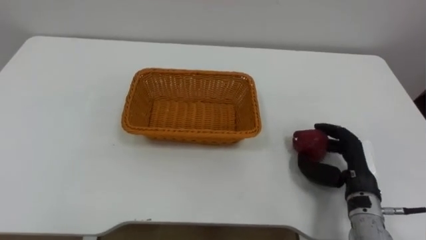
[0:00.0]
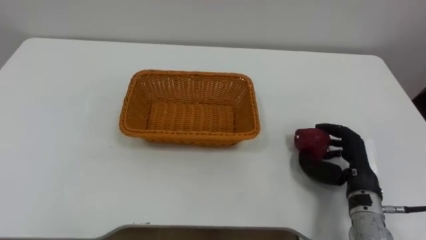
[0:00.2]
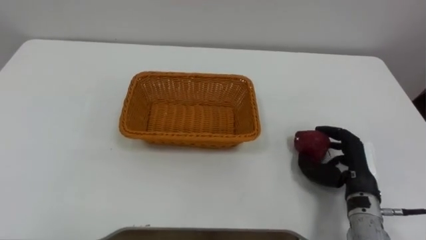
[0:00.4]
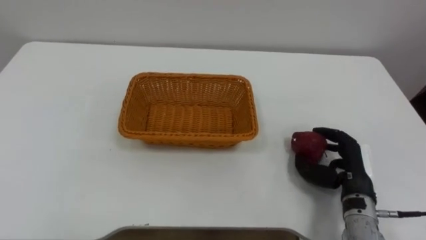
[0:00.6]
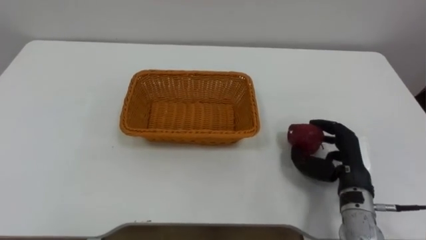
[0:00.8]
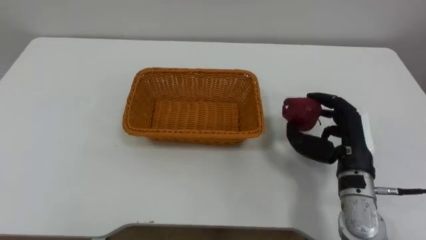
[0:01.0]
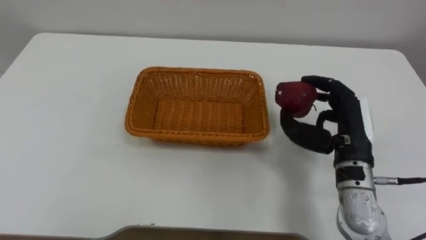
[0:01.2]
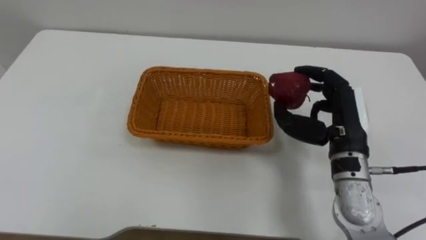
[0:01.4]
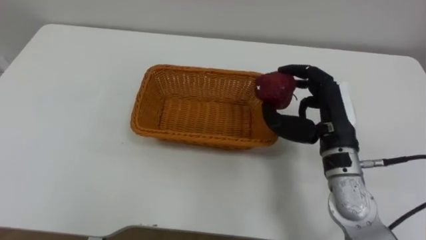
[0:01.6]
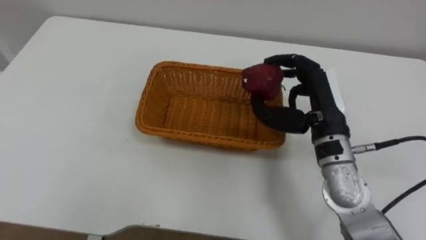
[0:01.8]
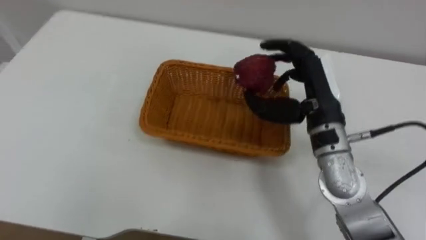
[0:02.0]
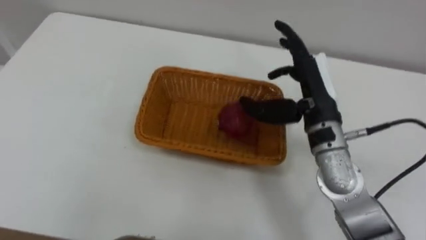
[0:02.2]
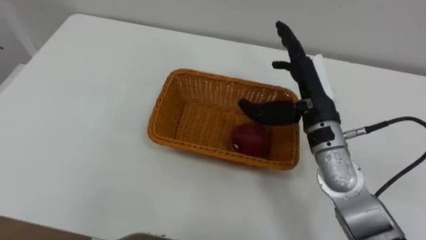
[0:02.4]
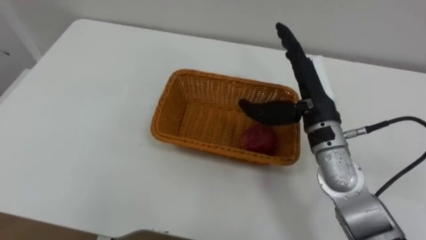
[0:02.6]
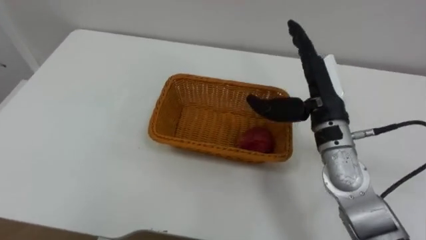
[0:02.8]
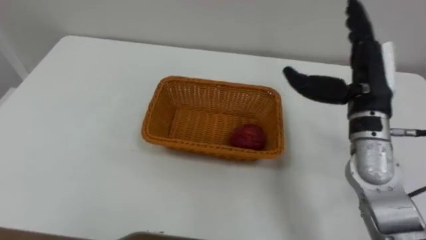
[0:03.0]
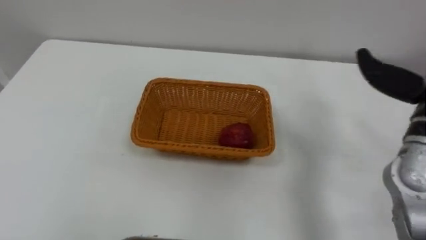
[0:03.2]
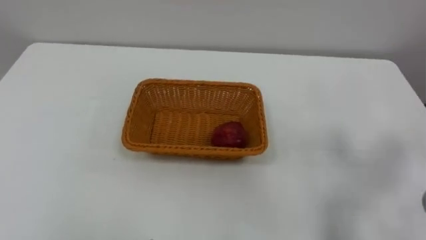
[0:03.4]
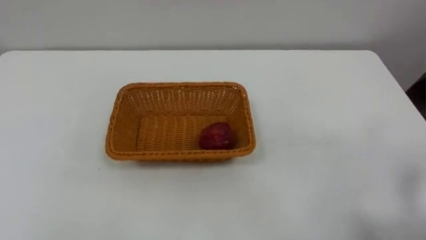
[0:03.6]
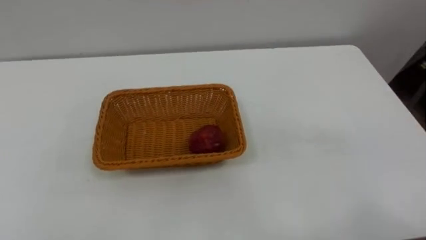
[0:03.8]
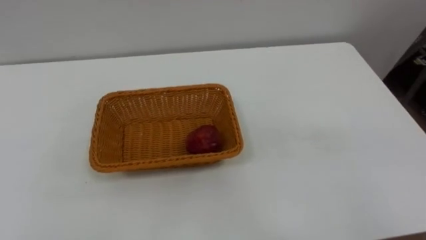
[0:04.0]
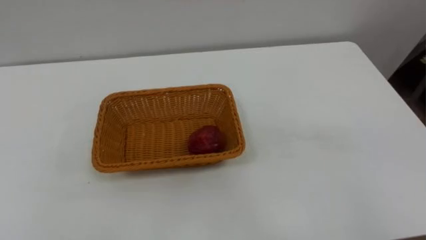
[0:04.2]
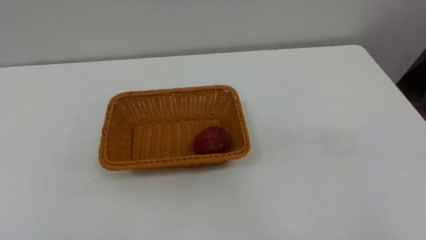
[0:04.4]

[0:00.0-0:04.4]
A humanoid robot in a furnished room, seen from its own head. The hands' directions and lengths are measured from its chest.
Task of the whole recording: Pick the apple and place it in the box.
0:00.0 to 0:01.4: The right hand moves upward, roughly 10 cm.
0:01.4 to 0:03.0: The right hand is displaced upward by about 5 cm, goes to the left and returns, approximately 5 cm each way, and opens up.

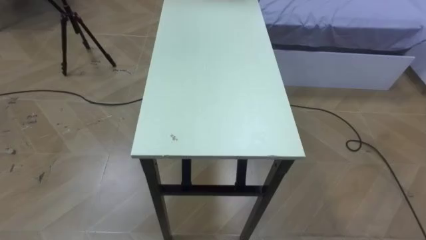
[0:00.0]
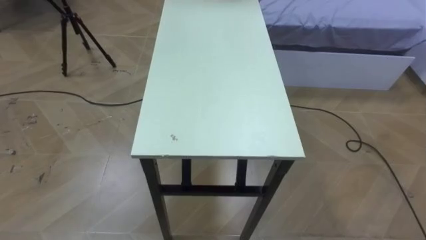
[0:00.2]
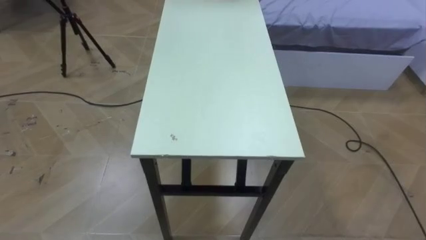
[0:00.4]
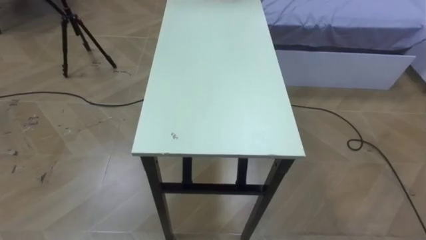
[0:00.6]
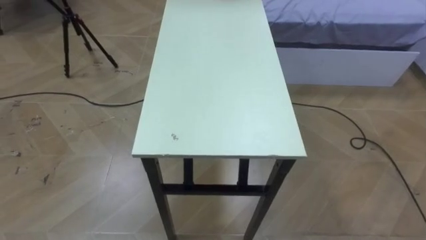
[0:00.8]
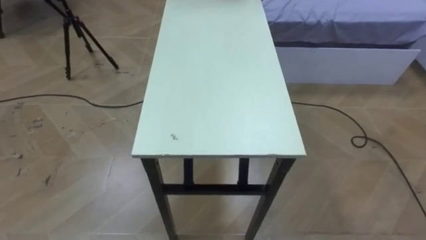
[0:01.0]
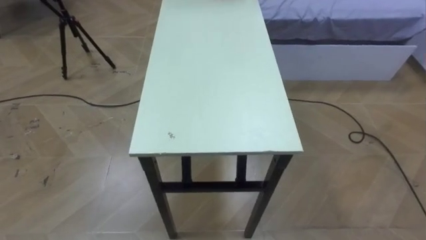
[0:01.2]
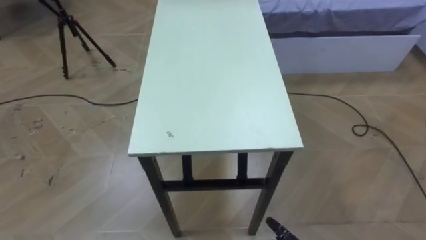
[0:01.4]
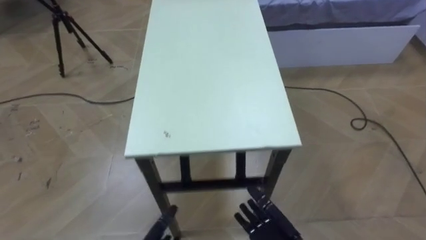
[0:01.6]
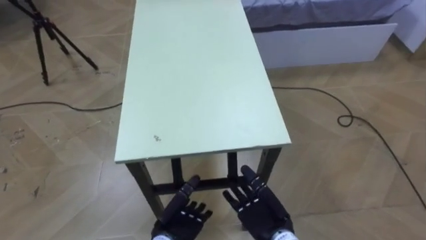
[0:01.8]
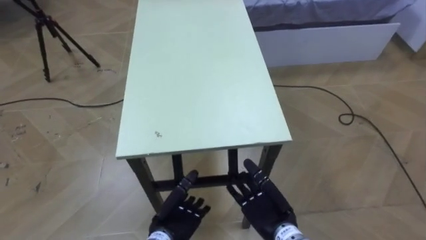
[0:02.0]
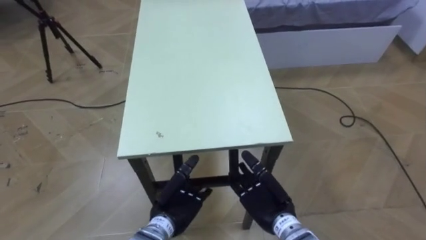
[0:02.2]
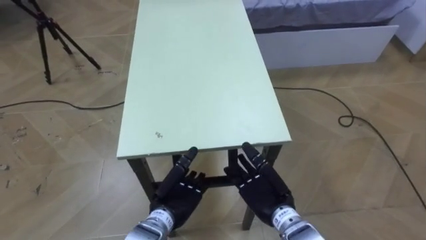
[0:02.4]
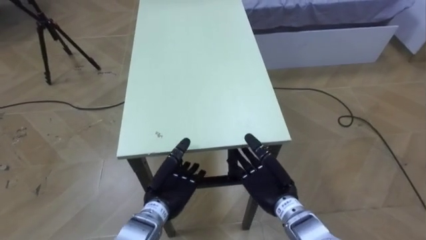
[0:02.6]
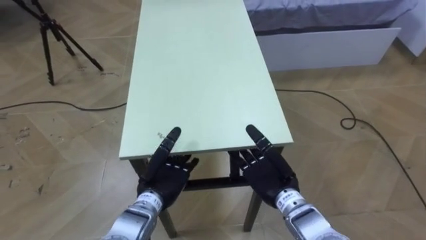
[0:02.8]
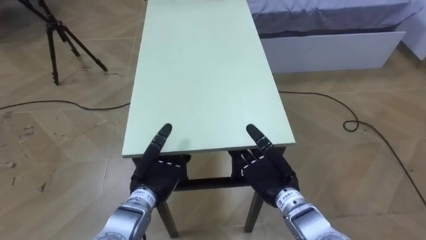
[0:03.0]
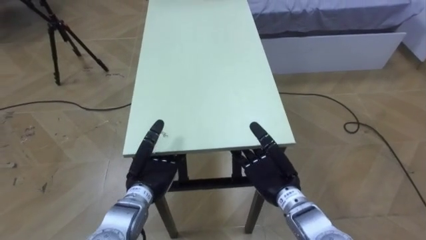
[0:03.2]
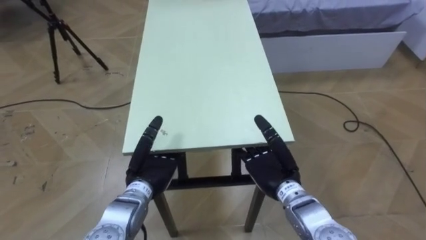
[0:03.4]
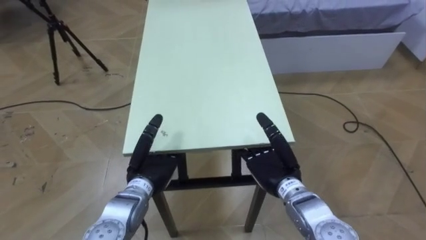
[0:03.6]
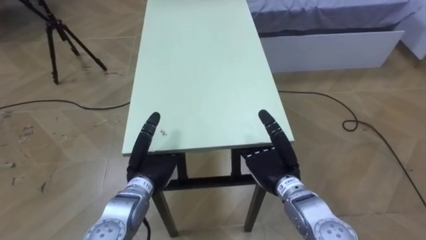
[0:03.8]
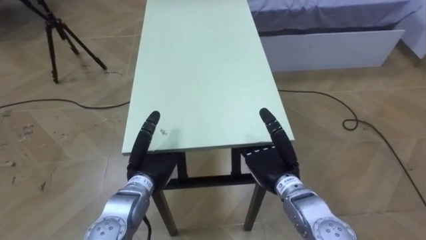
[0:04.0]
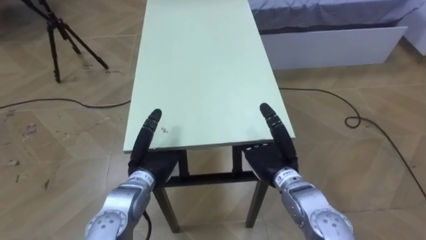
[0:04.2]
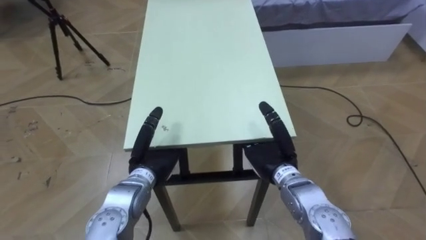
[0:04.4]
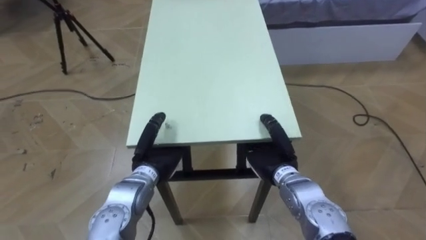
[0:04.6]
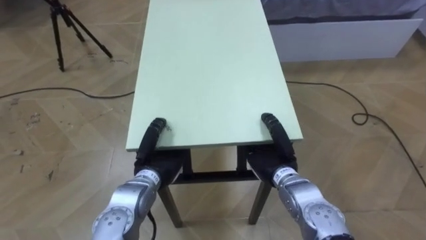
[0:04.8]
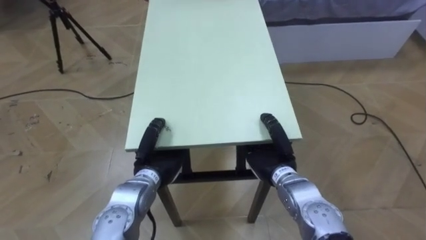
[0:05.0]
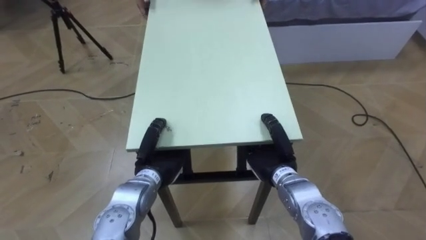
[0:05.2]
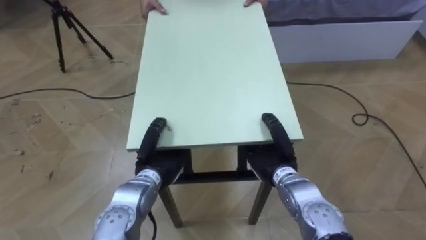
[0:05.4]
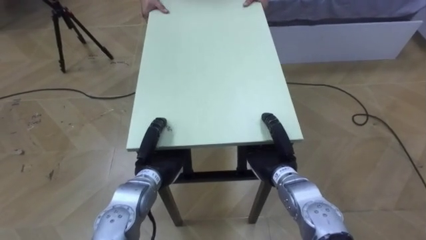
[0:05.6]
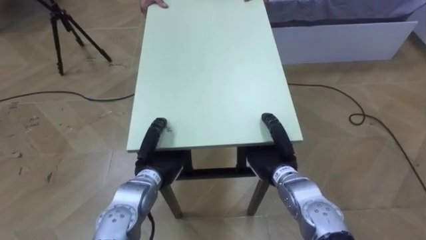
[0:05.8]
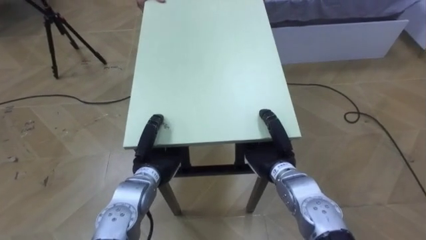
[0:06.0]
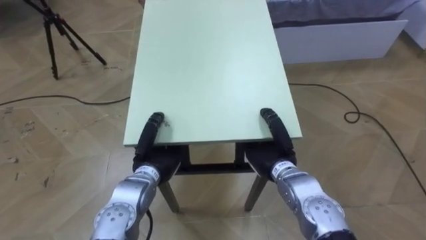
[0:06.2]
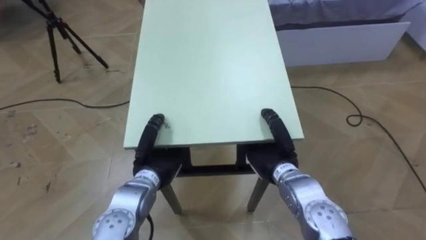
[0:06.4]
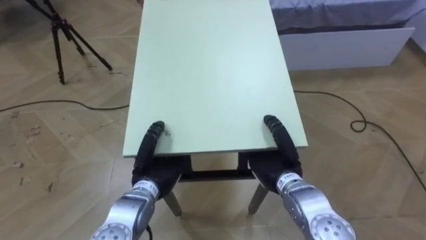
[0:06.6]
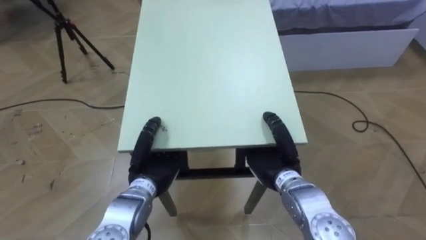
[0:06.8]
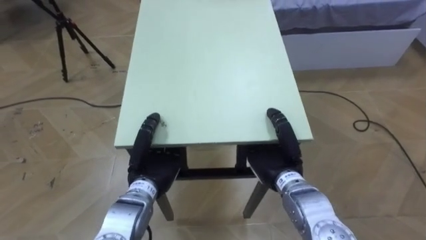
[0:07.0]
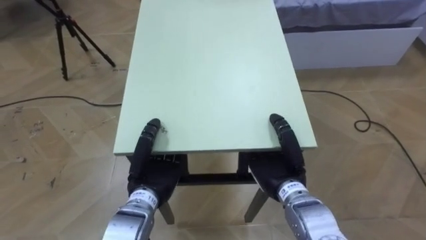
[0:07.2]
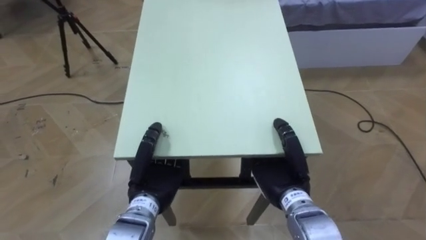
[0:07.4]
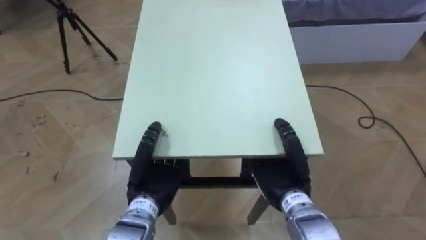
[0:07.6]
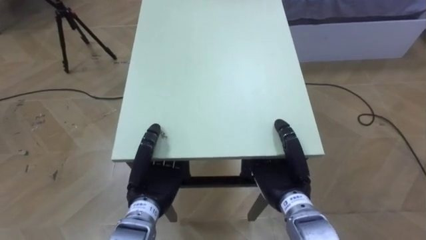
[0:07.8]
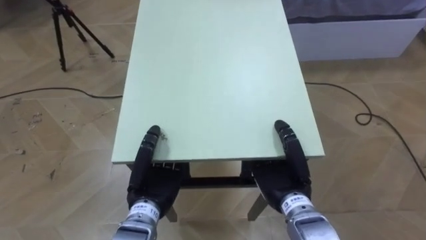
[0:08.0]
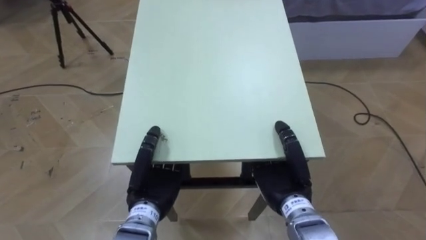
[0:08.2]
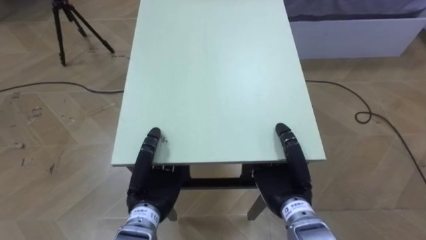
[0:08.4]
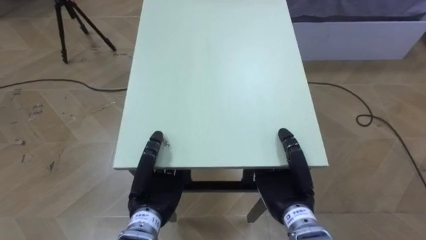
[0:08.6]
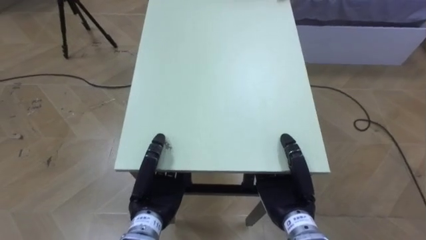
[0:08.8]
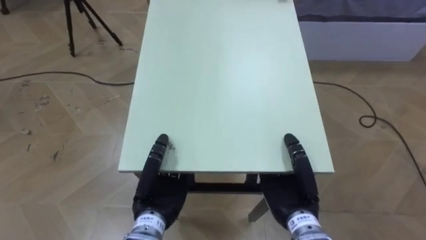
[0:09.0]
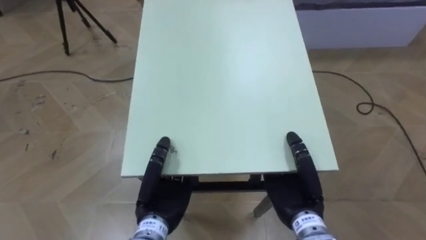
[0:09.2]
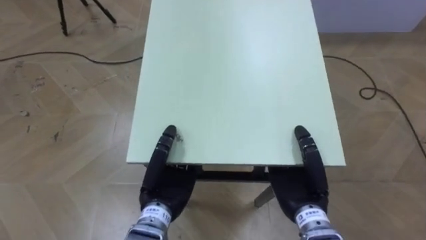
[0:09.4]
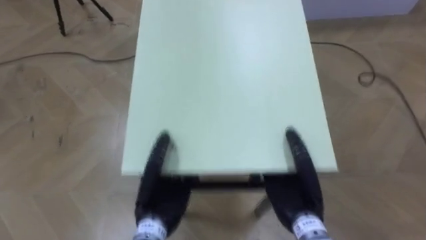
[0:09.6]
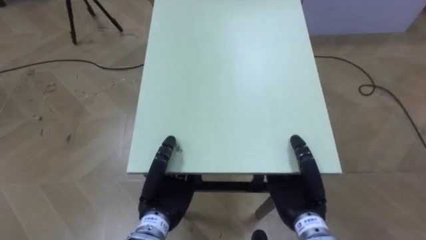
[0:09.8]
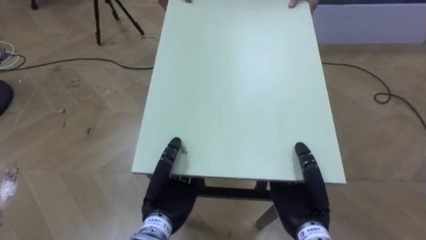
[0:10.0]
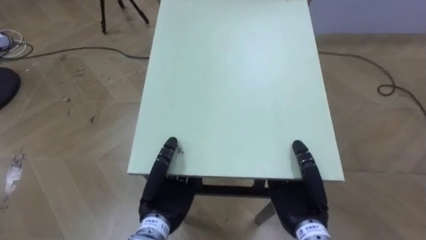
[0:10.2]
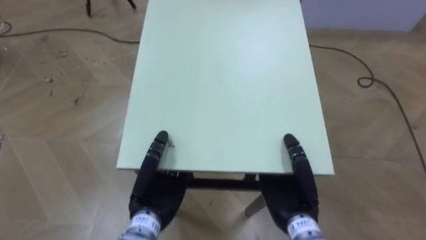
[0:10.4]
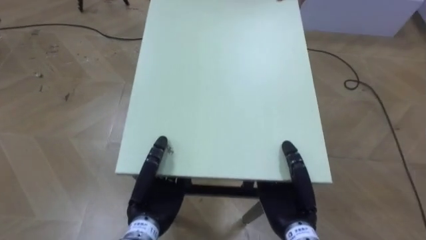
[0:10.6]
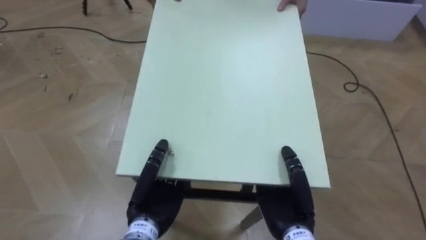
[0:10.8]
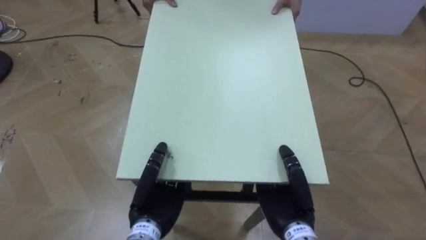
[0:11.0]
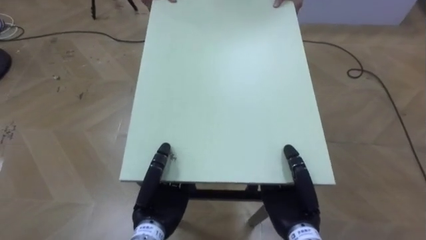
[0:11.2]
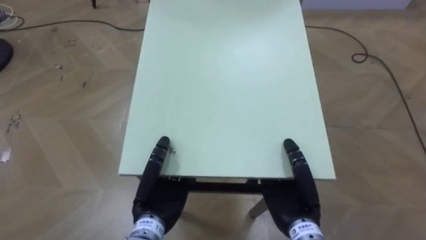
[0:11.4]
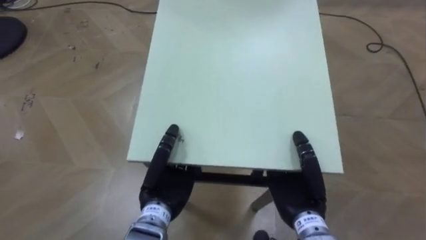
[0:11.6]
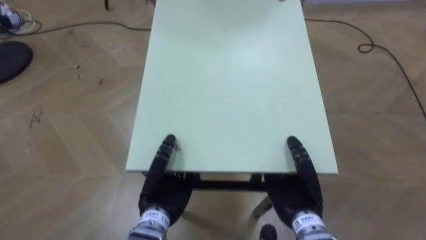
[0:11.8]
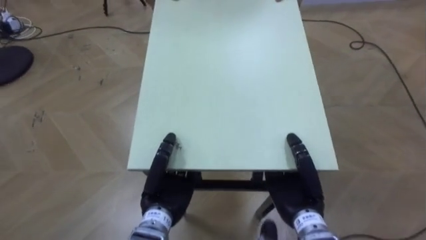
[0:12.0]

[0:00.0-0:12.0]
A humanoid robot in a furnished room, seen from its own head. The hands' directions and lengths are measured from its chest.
Task of the whole recording: Move the table to the back left with someone.
0:01.6 to 0:03.0: The right hand shifts roughly 15 cm forward and upward.
0:04.4 to 0:06.0: The left hand closes up.
0:06.0 to 0:07.6: The two hands go approximately 5 cm backward.
